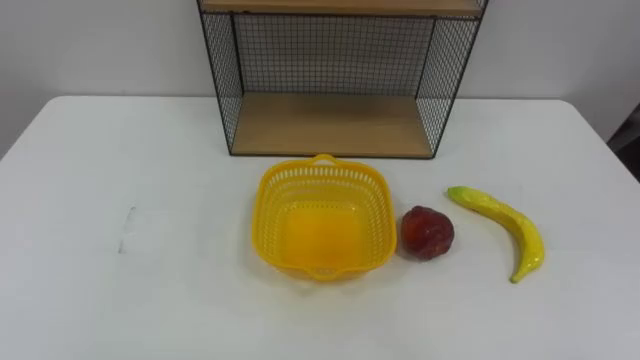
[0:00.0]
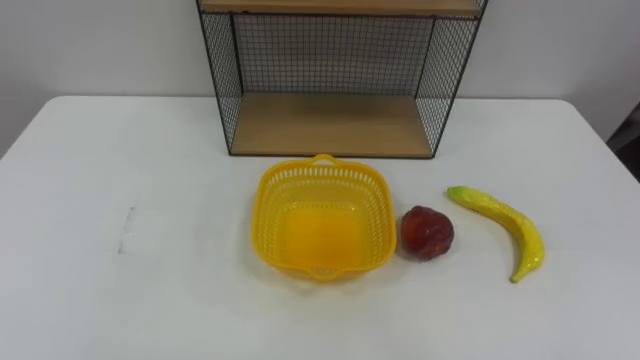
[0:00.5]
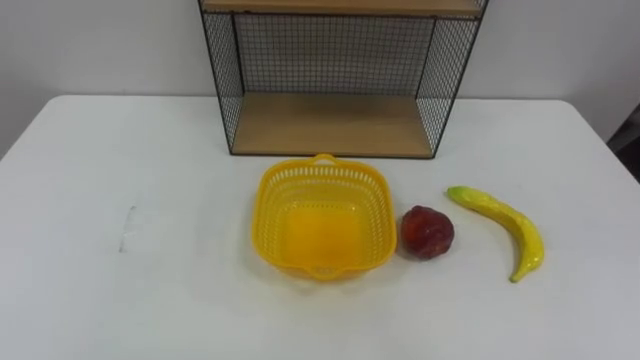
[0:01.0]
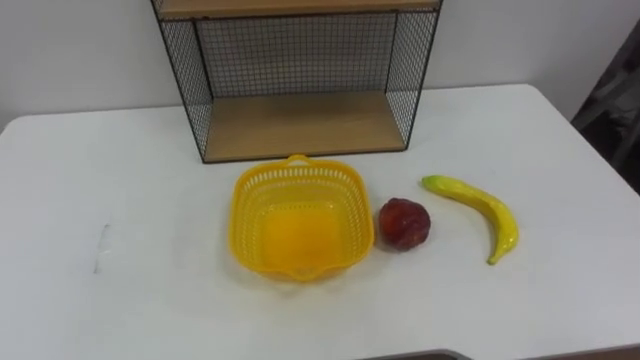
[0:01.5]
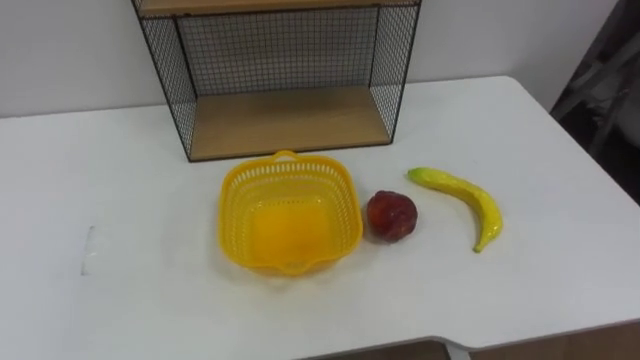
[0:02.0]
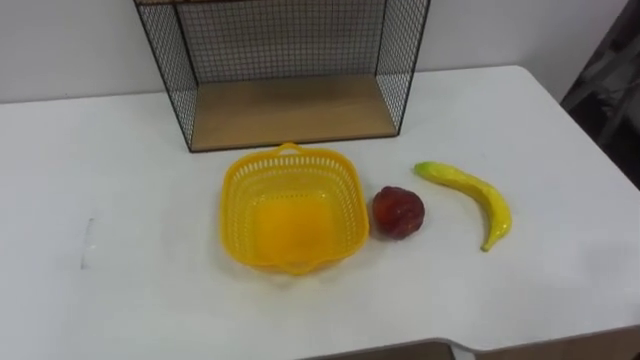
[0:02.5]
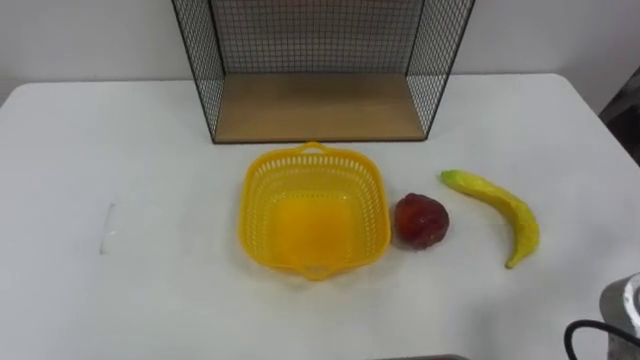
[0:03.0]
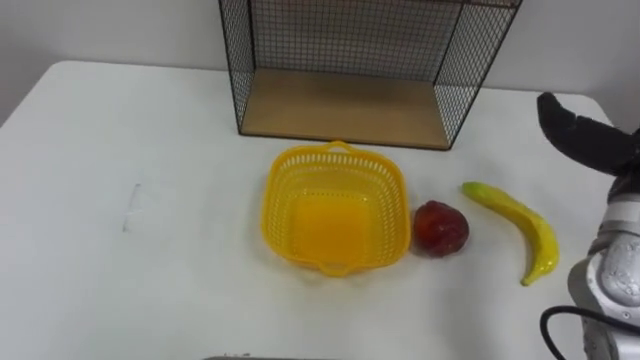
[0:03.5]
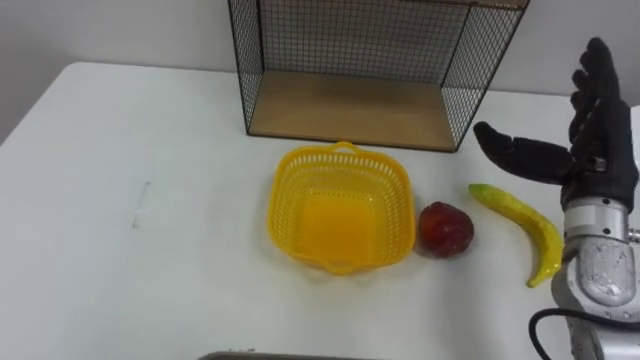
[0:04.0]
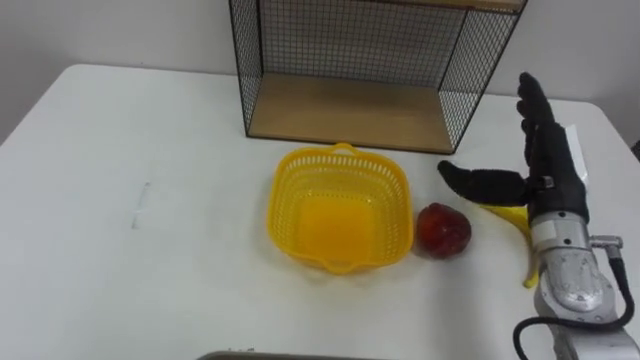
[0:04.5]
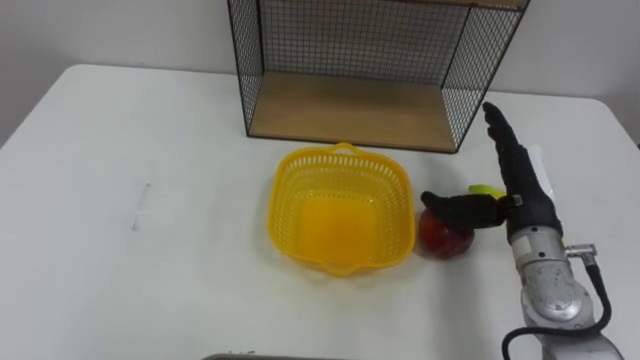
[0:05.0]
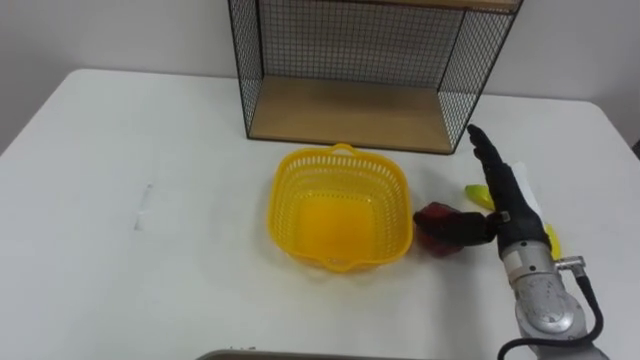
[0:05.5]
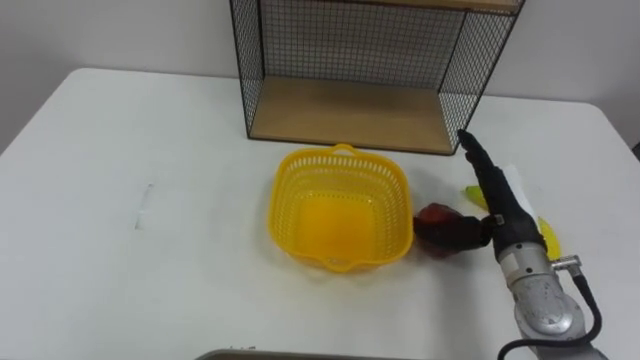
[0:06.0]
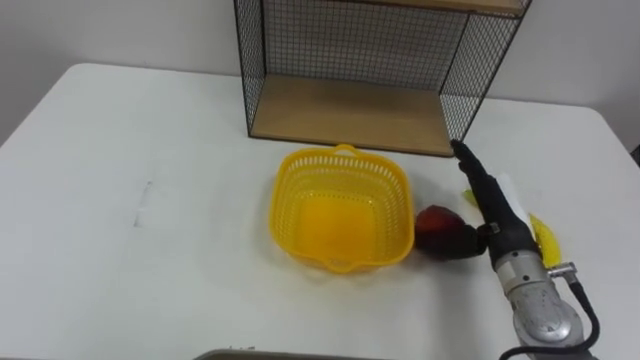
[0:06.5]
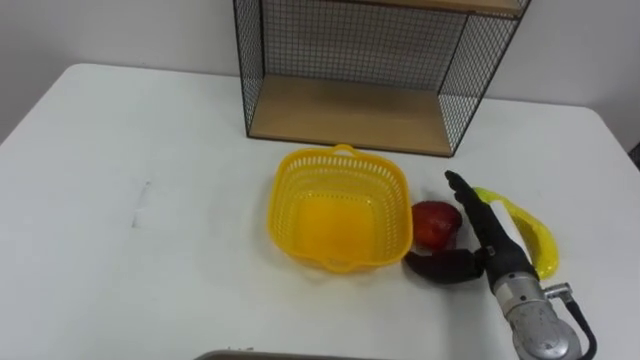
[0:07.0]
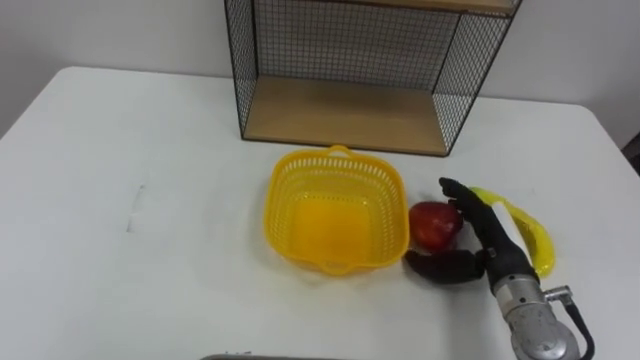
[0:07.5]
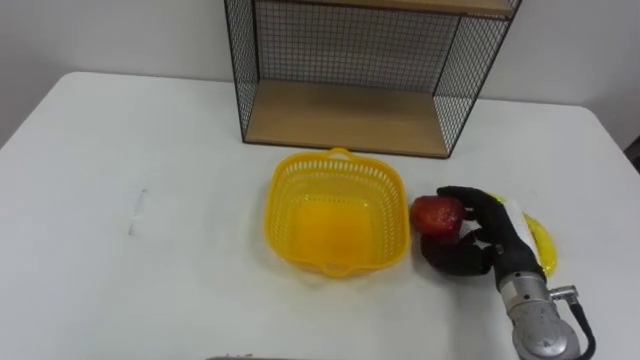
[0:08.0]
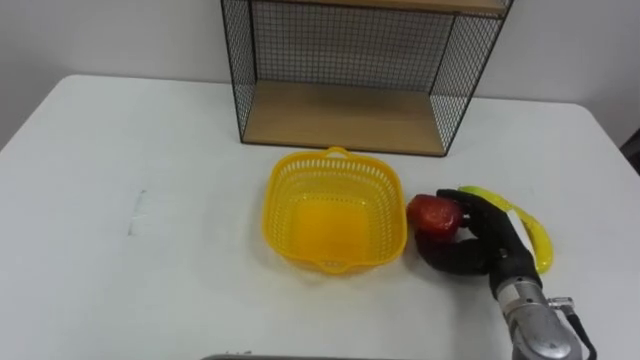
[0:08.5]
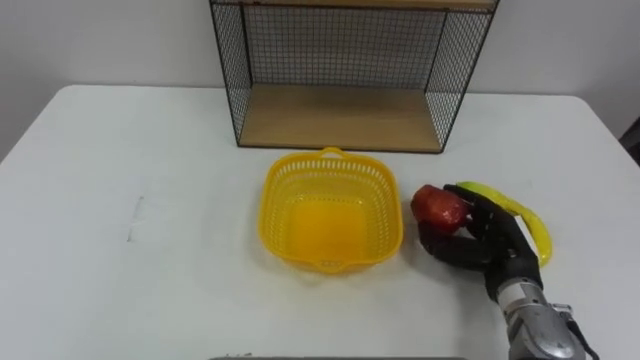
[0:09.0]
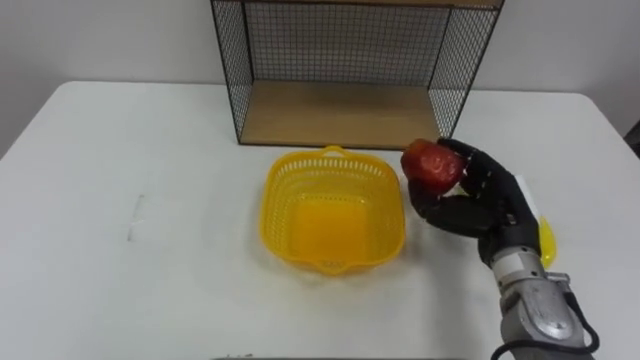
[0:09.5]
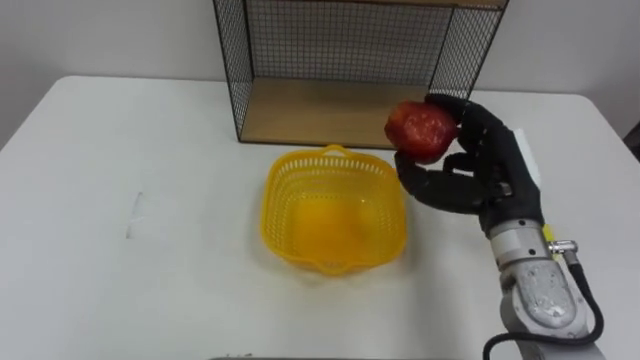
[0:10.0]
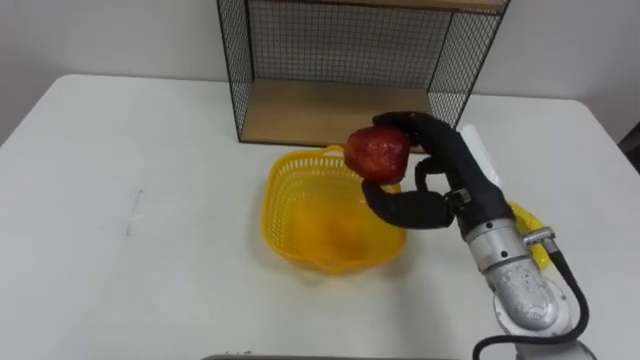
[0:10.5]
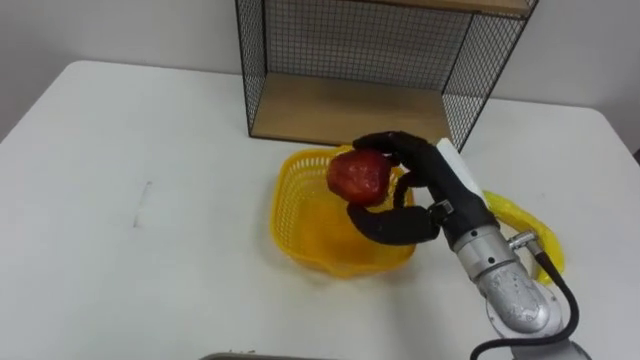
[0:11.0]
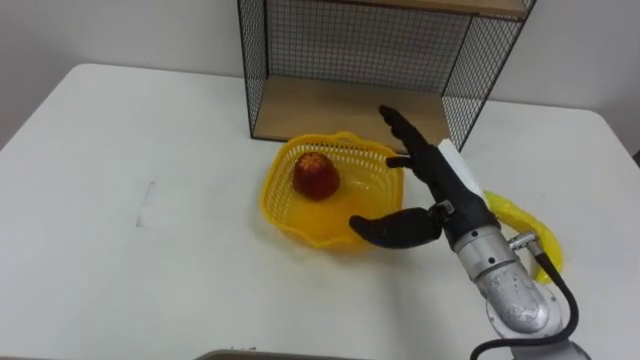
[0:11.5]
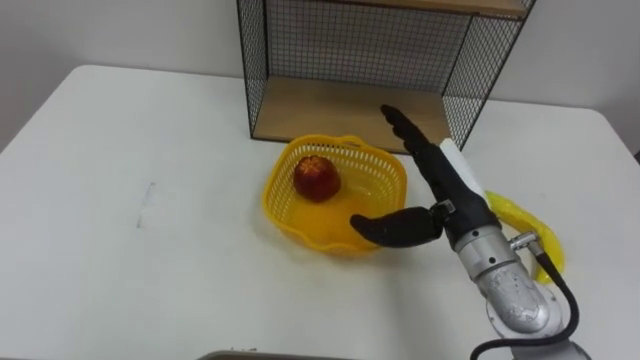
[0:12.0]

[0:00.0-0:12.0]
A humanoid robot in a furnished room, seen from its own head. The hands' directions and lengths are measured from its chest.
Task of the whole recording: Put the fruit on the table into the basket, then place the basket on the shelf.
0:04.0 to 0:06.0: The right hand is displaced downward and to the left by about 10 cm.
0:06.0 to 0:08.0: The right hand shifts by roughly 5 cm, and closes up.
0:08.0 to 0:10.0: The right hand travels upward by some 10 cm.
0:10.0 to 0:12.0: The right hand moves to the left, some 5 cm, and opens.

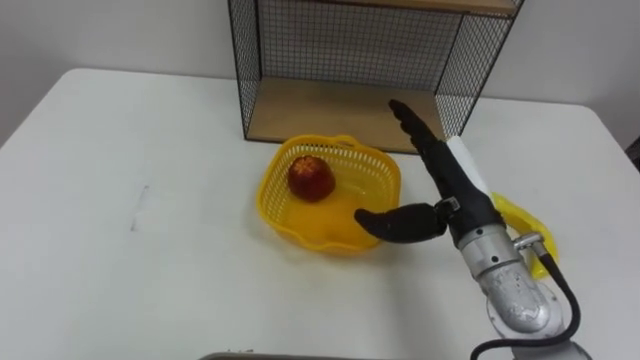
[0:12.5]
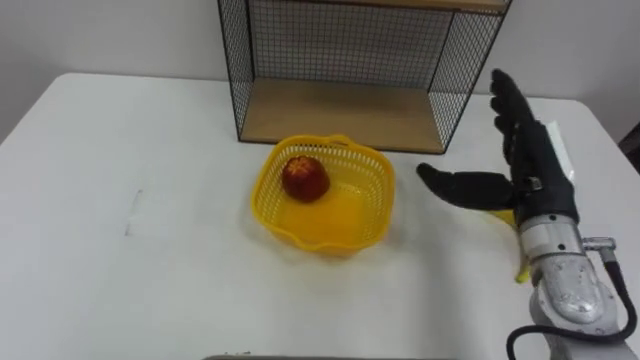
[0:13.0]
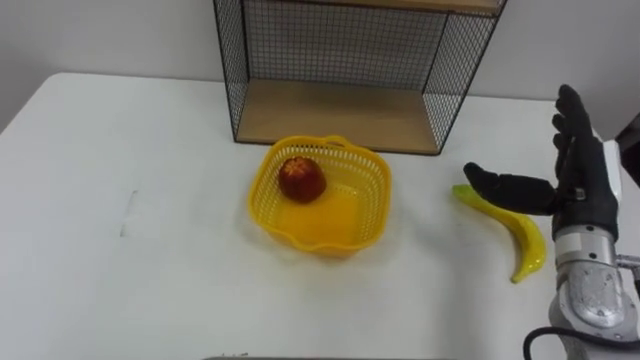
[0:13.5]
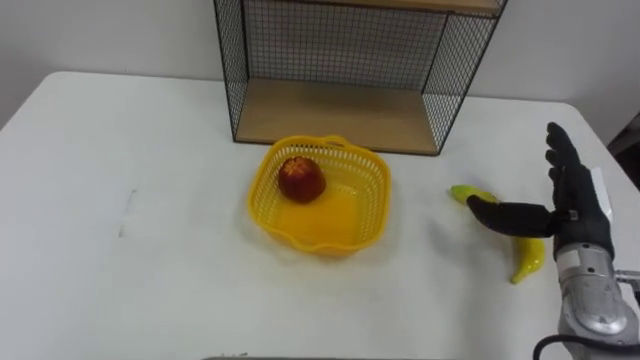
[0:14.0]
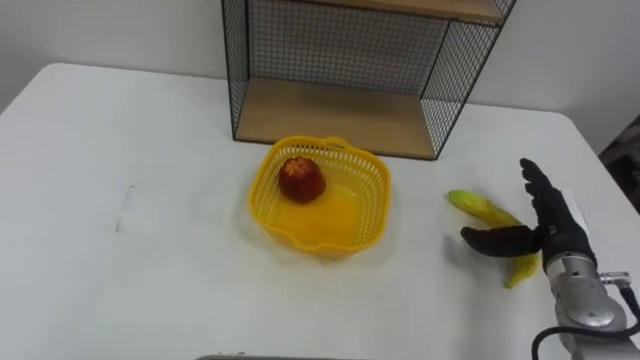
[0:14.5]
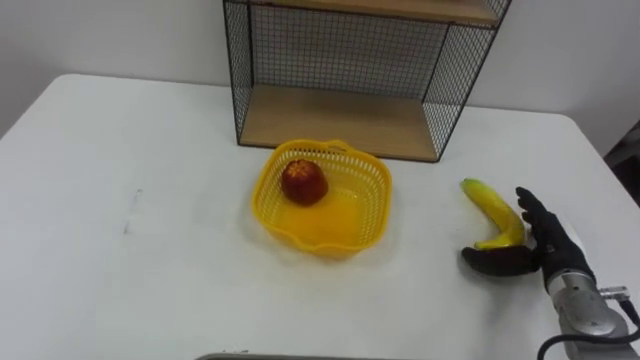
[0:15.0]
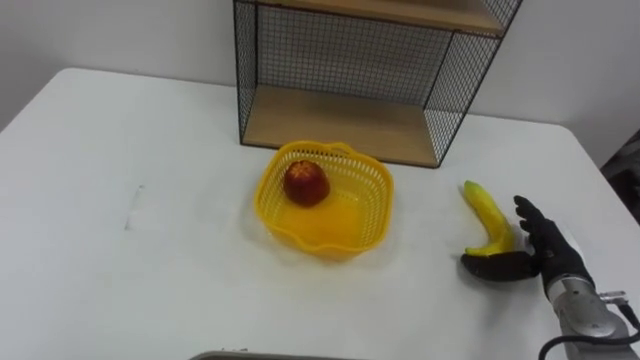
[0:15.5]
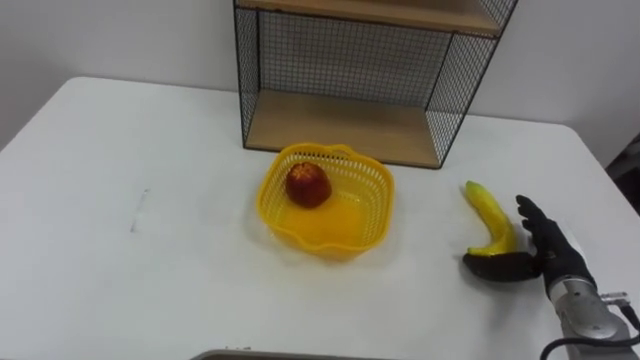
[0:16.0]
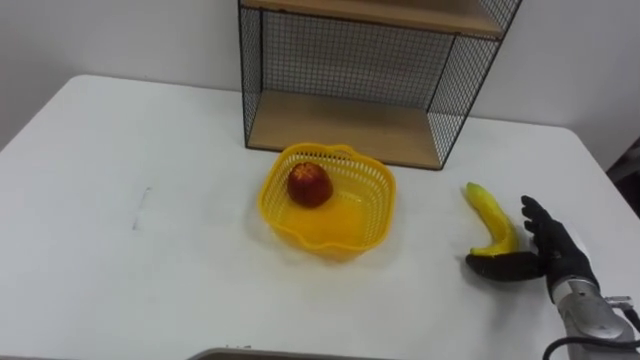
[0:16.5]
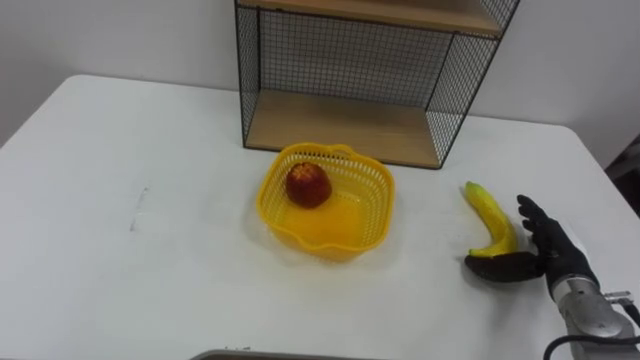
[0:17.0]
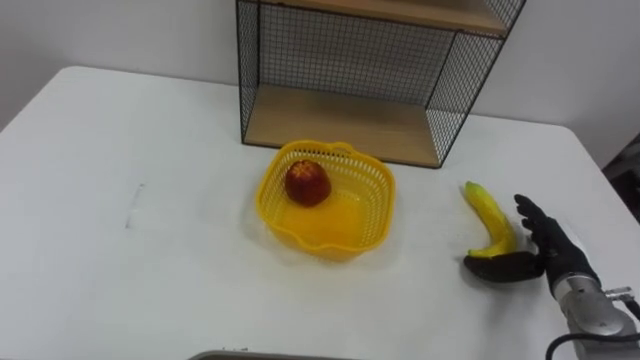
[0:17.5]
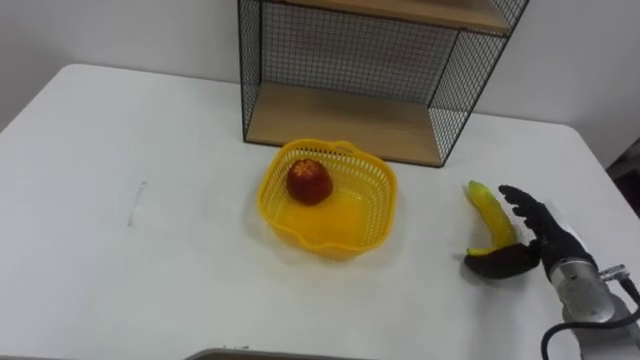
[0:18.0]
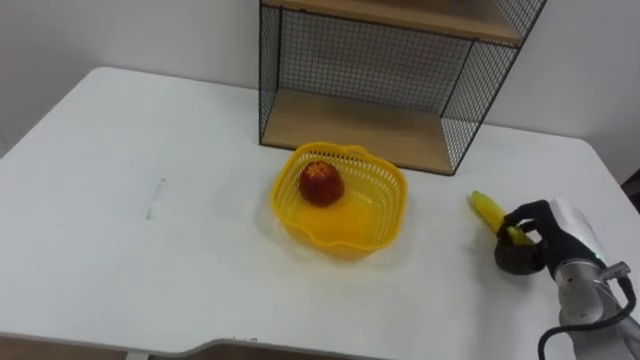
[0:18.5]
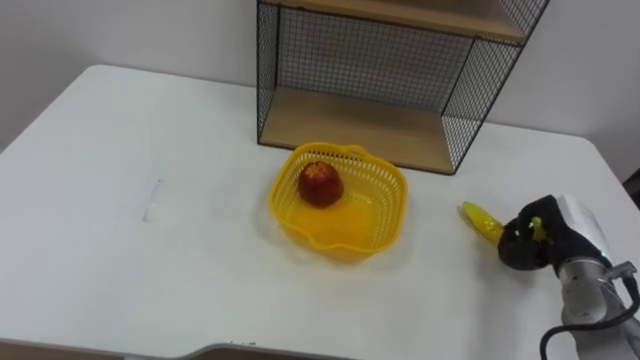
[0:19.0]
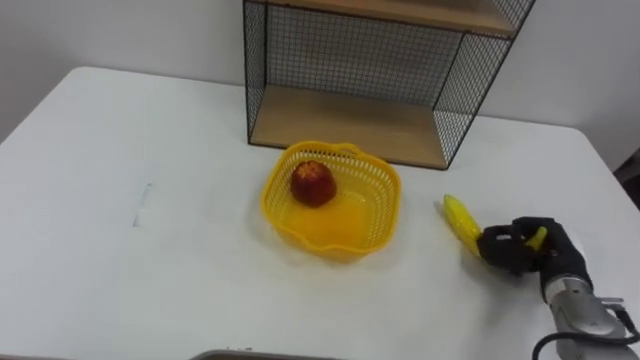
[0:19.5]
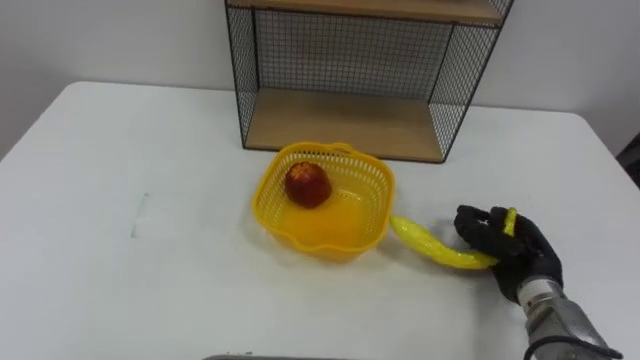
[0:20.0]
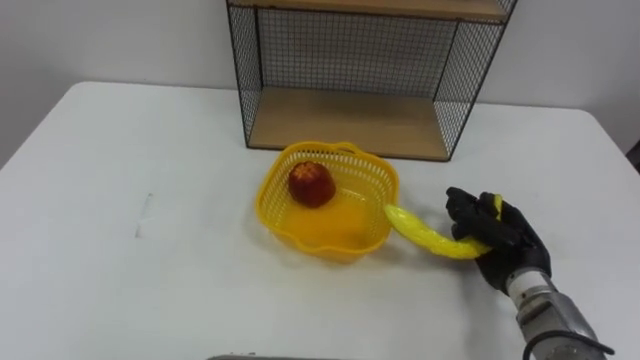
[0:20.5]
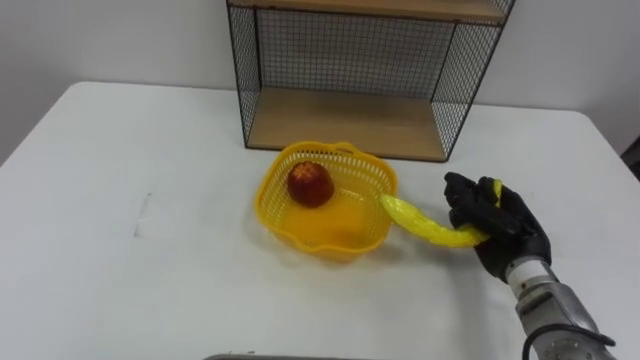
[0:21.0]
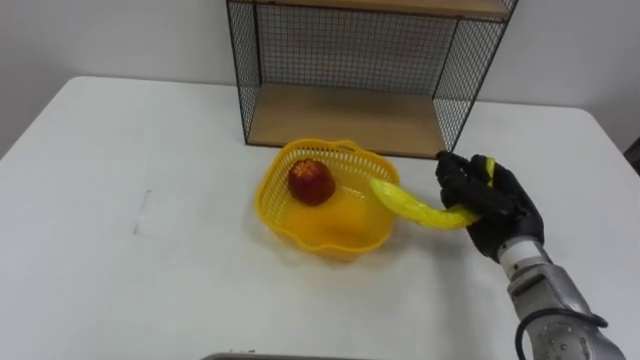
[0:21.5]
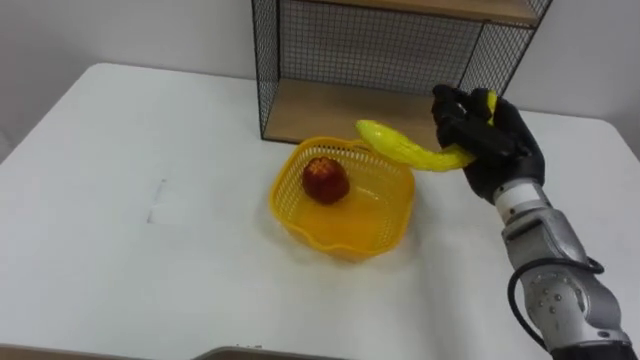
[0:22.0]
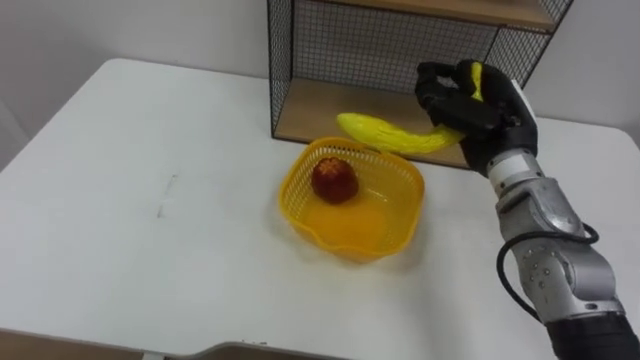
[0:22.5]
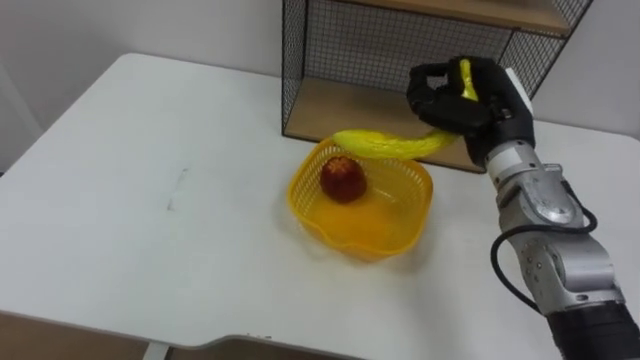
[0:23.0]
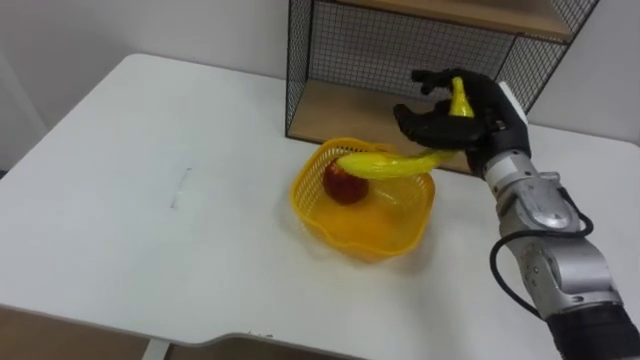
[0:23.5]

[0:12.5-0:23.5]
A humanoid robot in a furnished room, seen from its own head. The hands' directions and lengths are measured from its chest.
Task of the whole recording: Put the fruit on the table into the basket, then place the basket on the shelf.
0:12.5 to 0:14.5: The right hand moves to the right and downward, some 20 cm.
0:14.5 to 0:16.0: The right hand changes place by roughly 5 cm.
0:18.0 to 0:20.0: The right hand closes.
0:20.0 to 0:21.5: The right hand shifts approximately 5 cm upward.
0:21.5 to 0:23.5: The right hand goes roughly 10 cm upward and forward.
